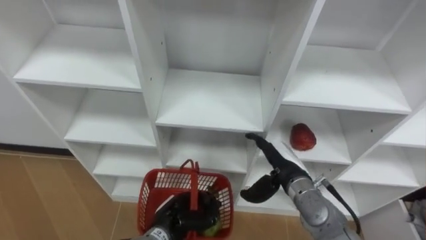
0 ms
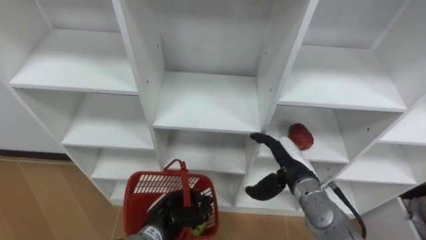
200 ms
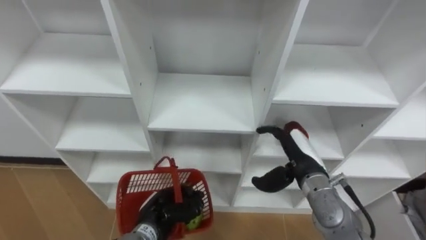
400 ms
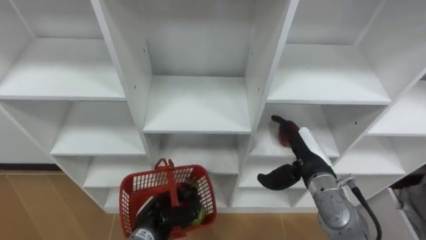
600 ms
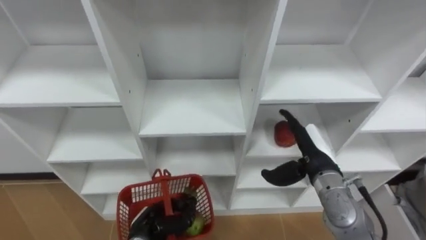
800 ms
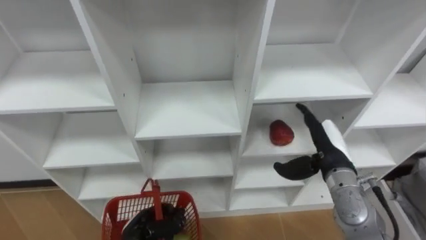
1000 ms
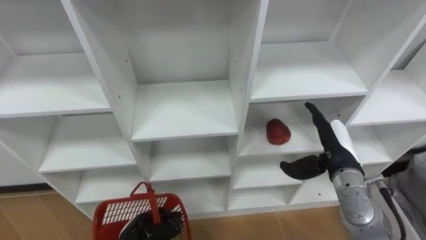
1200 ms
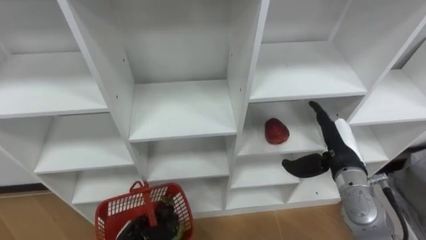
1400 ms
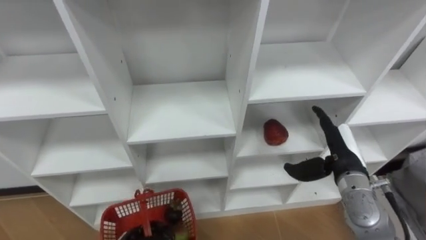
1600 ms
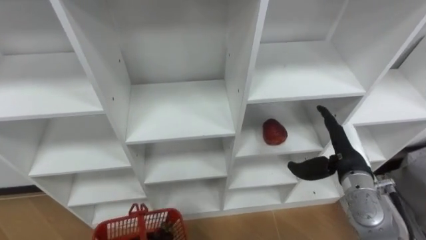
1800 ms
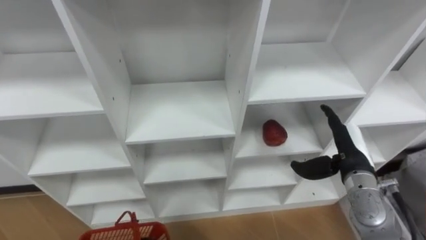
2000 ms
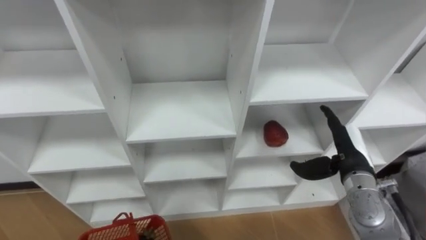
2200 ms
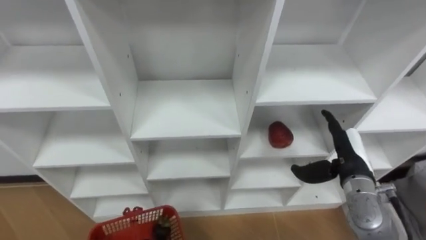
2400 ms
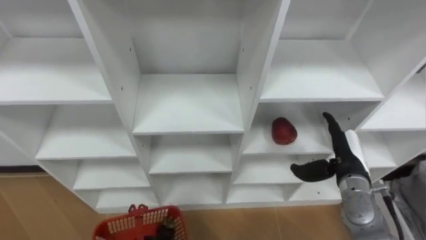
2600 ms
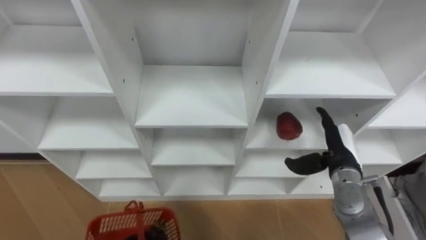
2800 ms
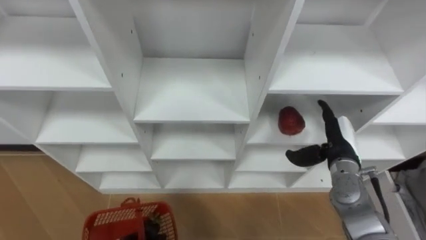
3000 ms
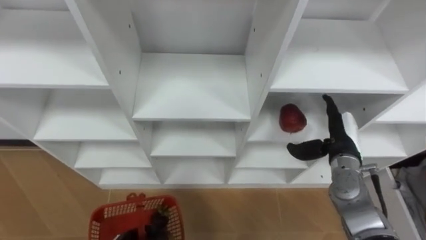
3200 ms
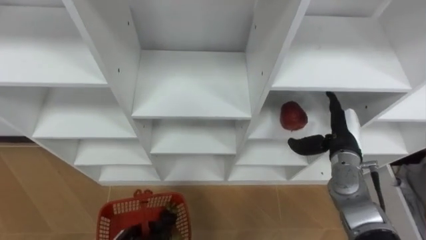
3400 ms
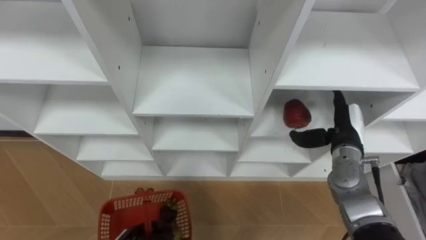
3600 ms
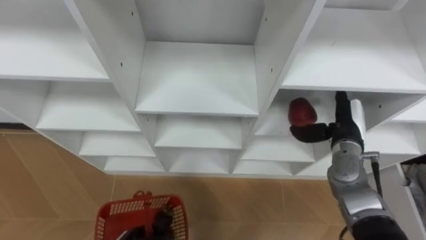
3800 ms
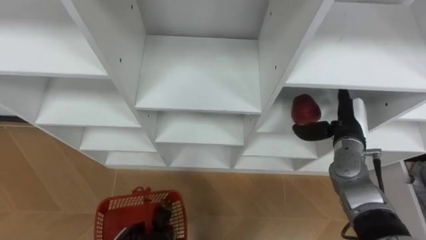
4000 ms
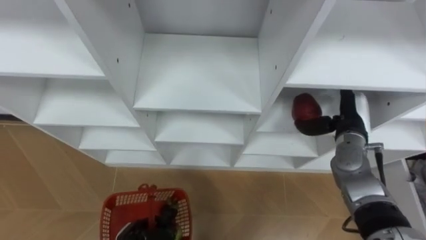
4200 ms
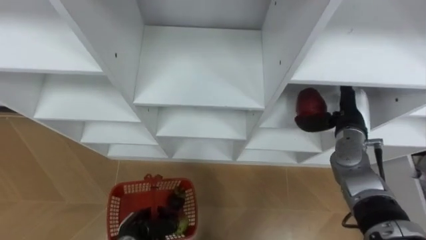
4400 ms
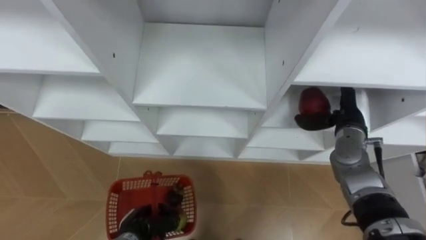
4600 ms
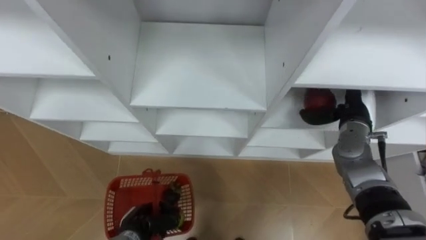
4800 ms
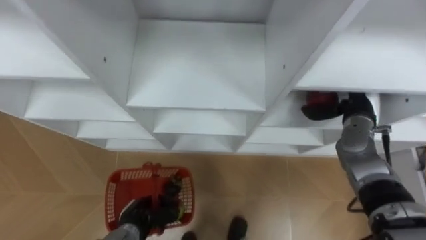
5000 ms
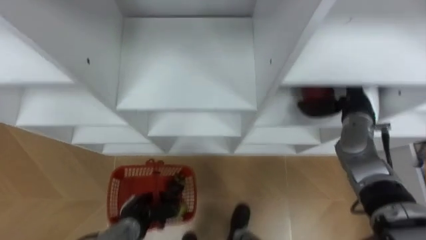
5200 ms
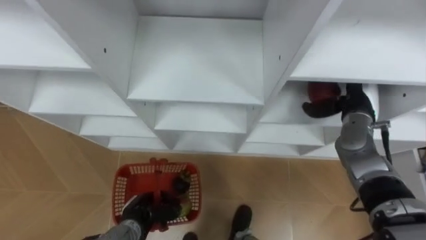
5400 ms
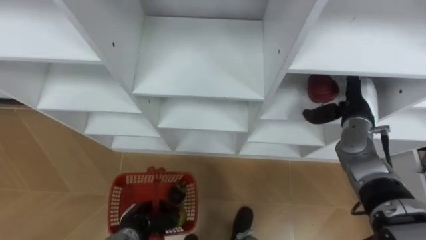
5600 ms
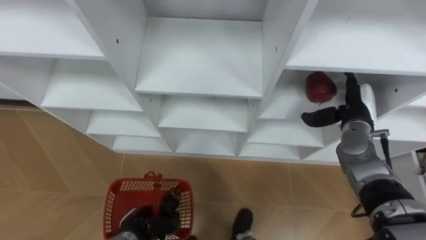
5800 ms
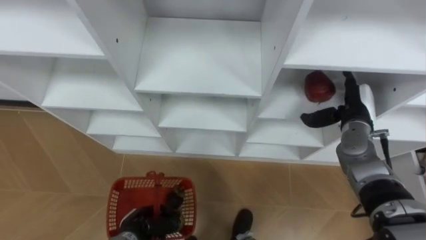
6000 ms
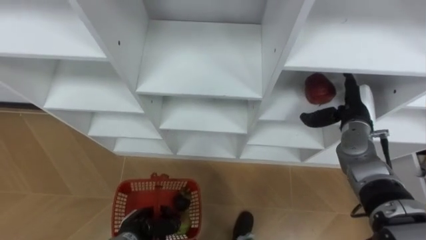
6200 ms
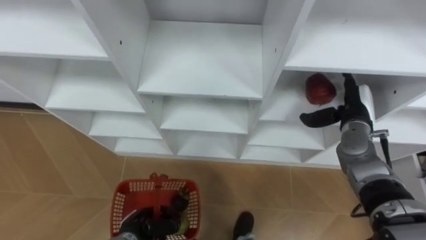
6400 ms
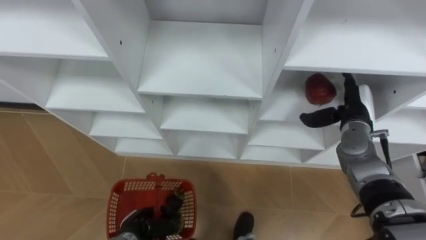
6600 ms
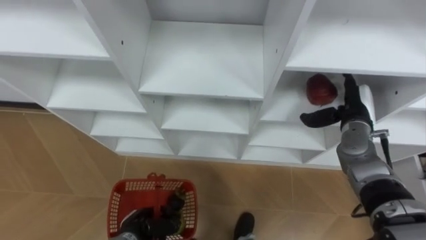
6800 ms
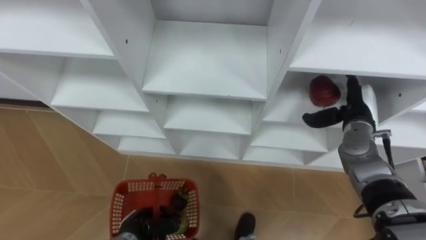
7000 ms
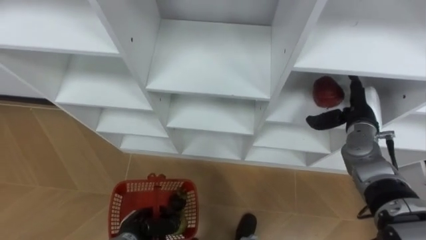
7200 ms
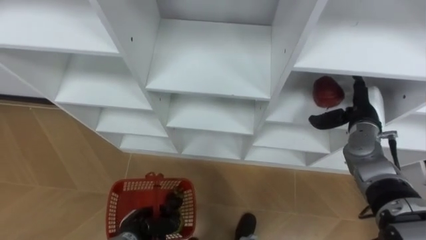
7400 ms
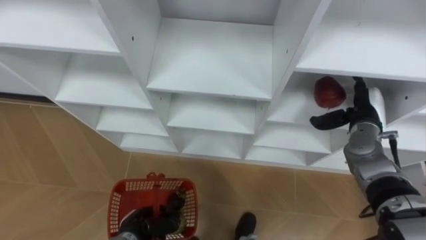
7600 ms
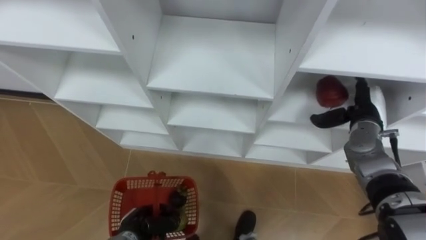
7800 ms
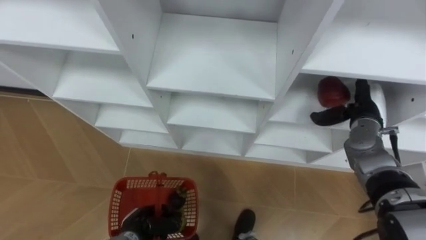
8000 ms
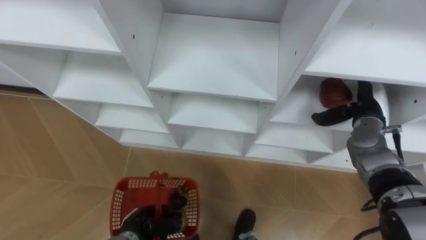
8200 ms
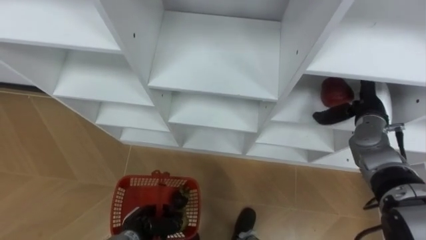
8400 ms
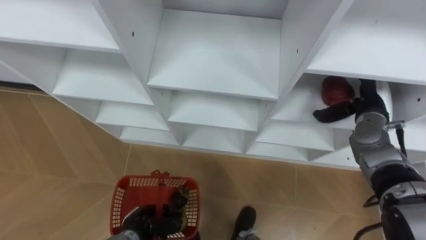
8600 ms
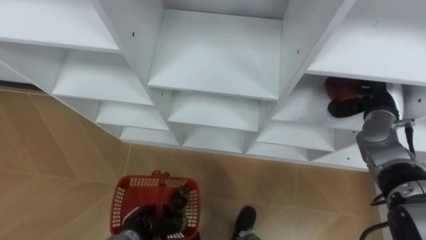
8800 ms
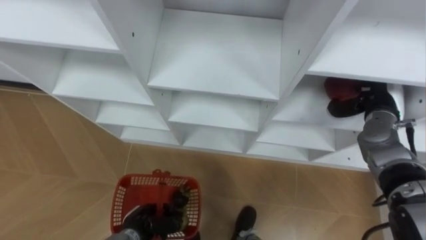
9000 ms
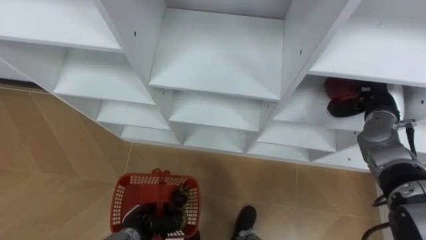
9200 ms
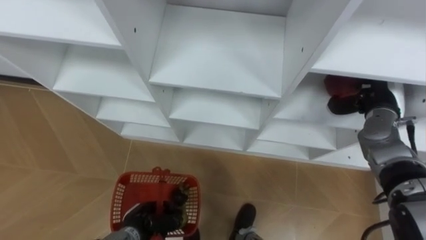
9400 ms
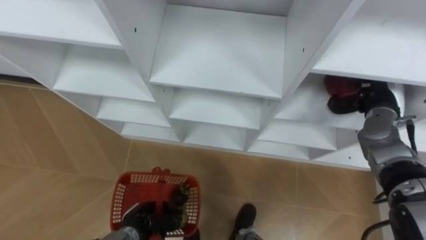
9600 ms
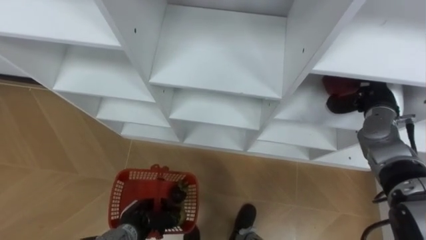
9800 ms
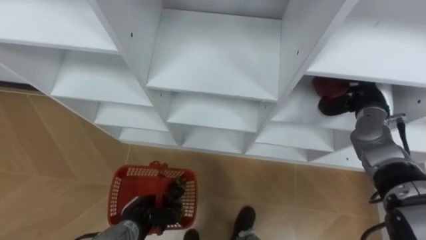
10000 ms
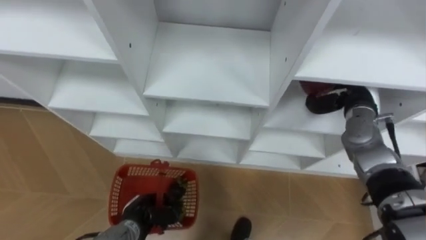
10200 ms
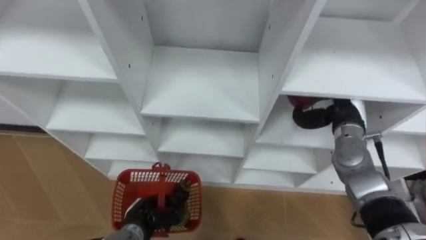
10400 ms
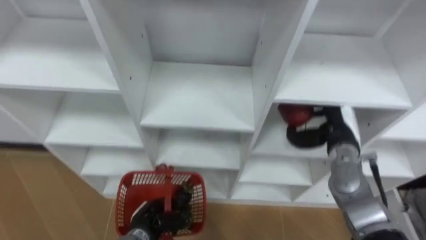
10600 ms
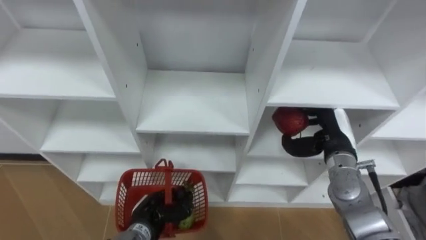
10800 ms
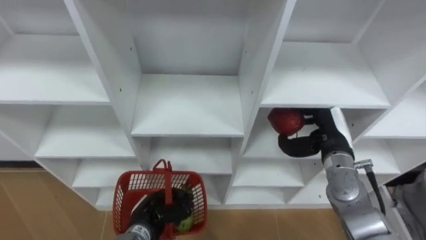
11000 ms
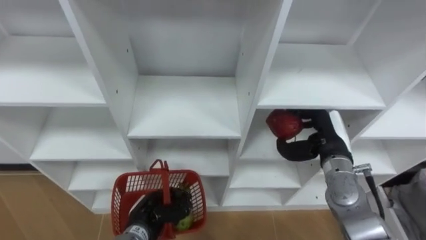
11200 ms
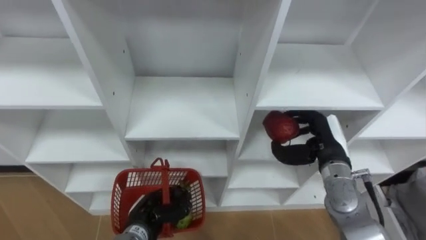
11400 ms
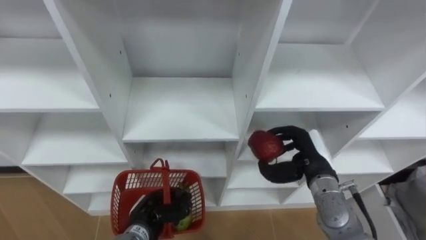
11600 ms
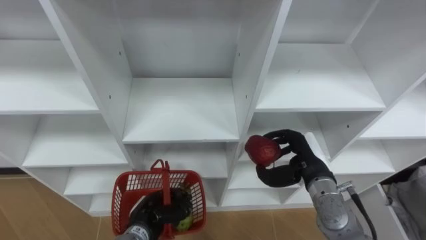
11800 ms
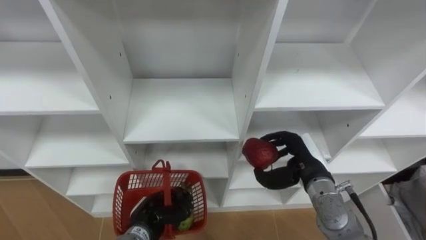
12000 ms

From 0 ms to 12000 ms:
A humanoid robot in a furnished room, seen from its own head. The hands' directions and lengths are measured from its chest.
Task of the whole recording: Hold the basket and collect the fruits from 3 different cells of the closet into it.
From 0 ms to 1600 ms: The right hand travels to the right by about 10 cm.
From 3000 ms to 4400 ms: The right hand changes place by some 5 cm.
From 7600 ms to 9000 ms: The right hand closes its fingers.
From 9000 ms to 10400 ms: The right hand is displaced to the left by about 5 cm.
From 10400 ms to 12000 ms: The right hand goes some 15 cm backward, to the left and downward.

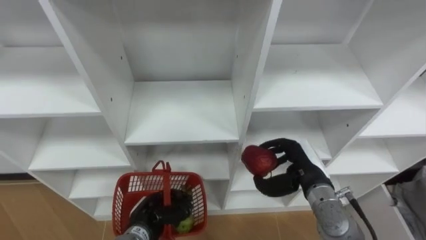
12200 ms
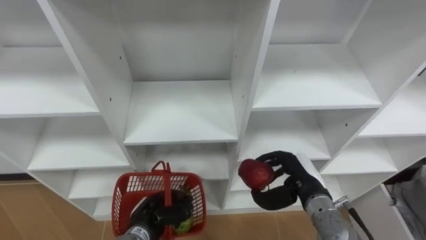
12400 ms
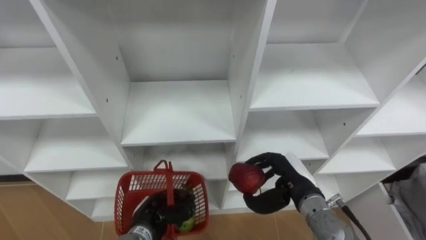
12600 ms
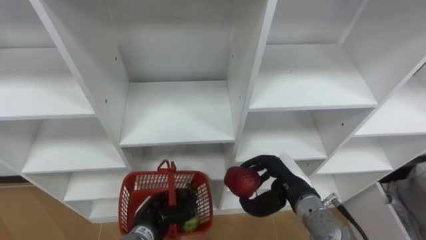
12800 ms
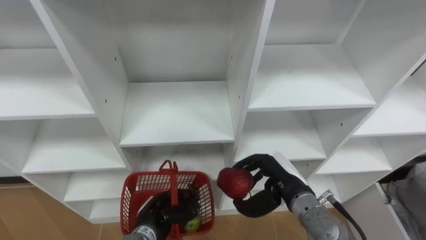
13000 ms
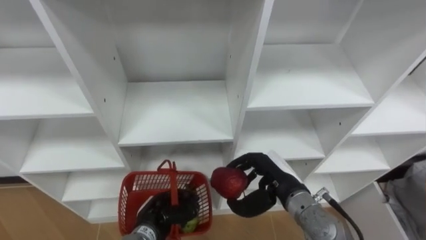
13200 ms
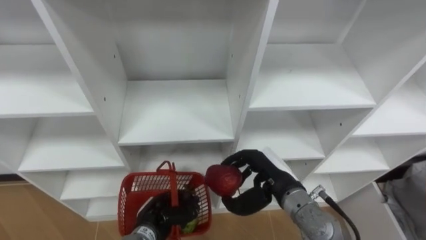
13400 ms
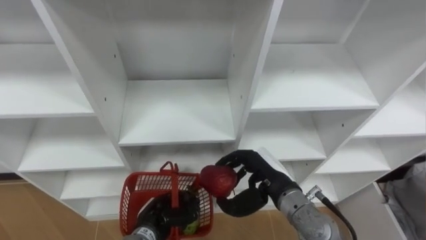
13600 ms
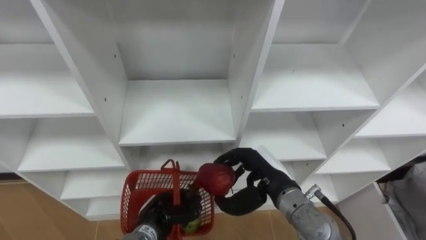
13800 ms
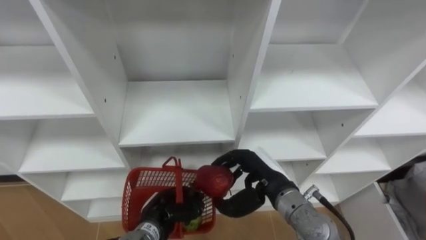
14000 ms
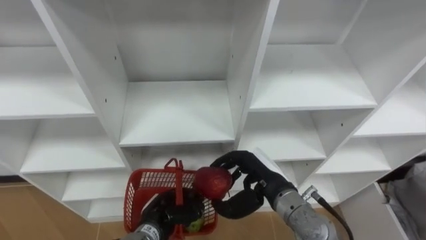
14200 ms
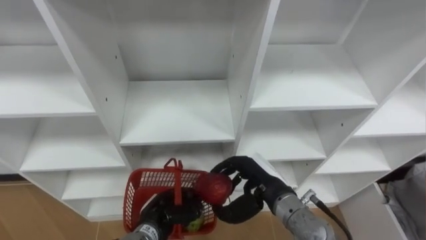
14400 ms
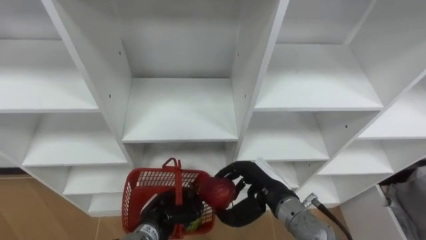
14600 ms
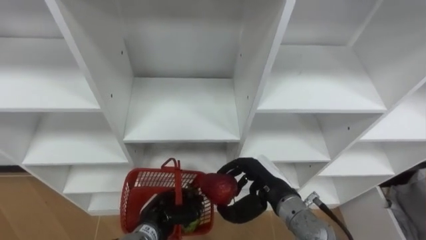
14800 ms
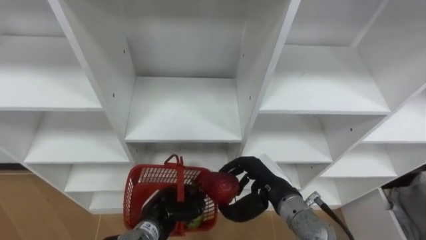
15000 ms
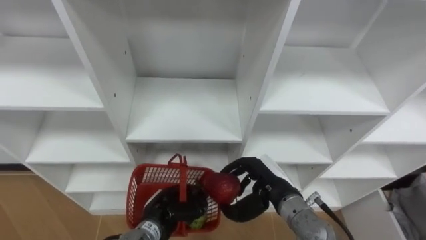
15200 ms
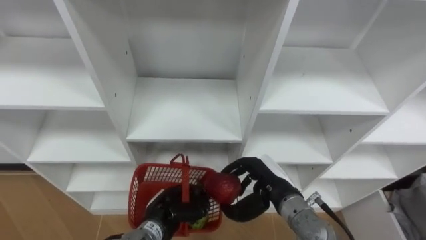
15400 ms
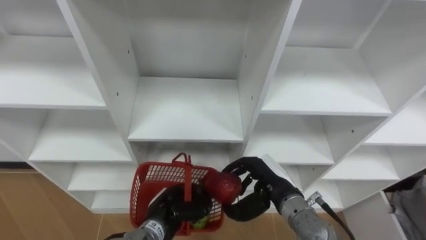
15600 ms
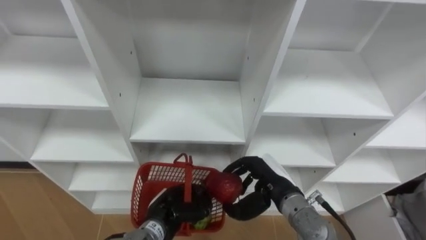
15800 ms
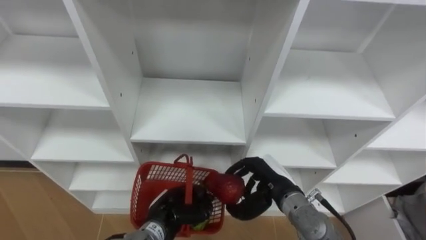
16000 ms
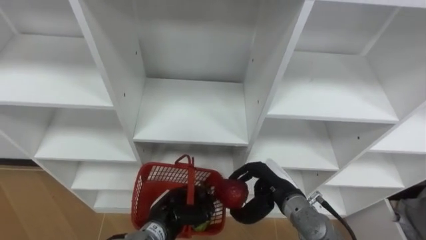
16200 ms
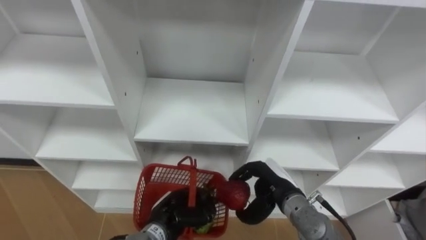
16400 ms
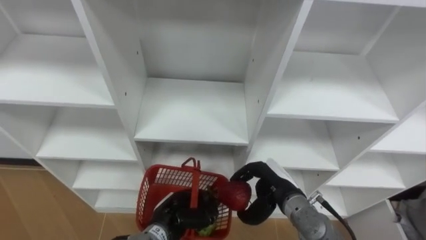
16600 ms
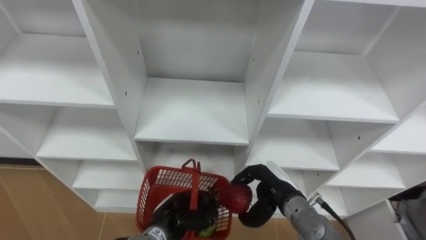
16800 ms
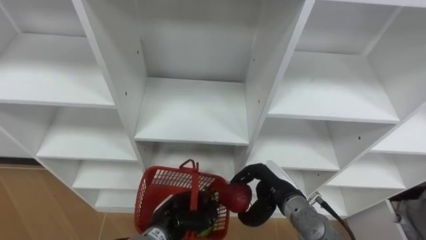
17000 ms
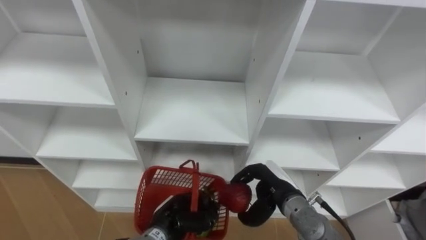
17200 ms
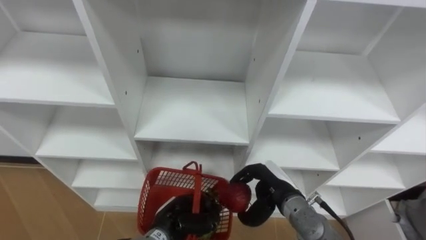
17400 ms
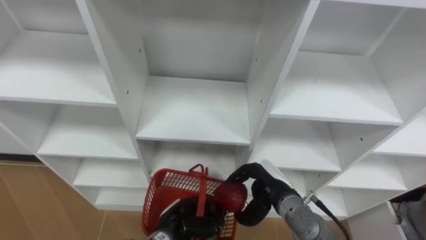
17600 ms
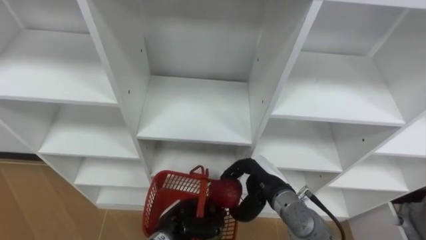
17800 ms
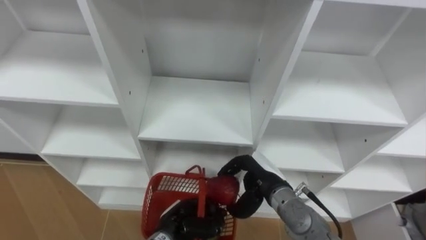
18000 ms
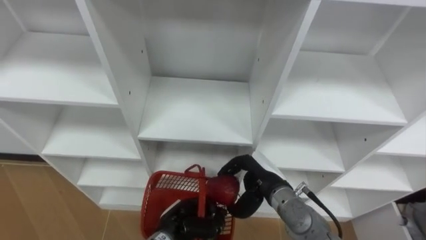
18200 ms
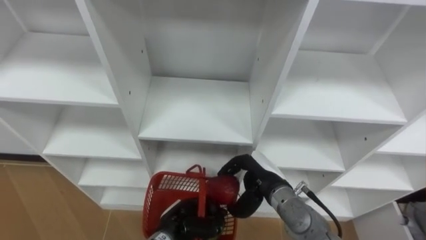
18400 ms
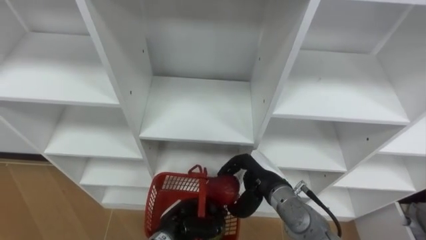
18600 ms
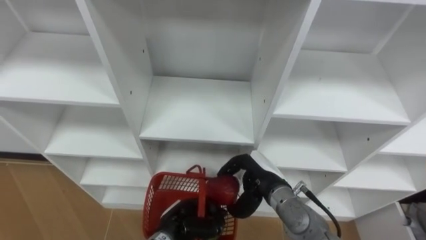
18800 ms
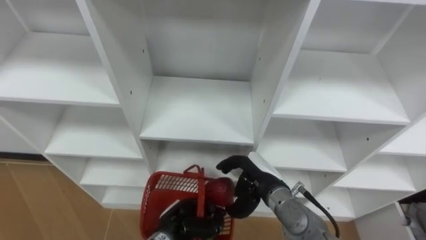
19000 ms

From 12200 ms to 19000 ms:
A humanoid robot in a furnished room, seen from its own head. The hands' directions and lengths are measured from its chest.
Task of the whole recording: Hold the basket and collect the fruits from 3 different cells of the closet into it.
From 12200 ms to 13600 ms: The right hand shifts some 10 cm to the left.
From 16200 ms to 19000 ms: The hands make only small movements.
